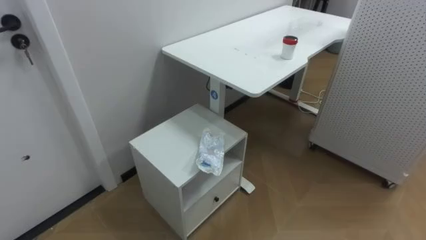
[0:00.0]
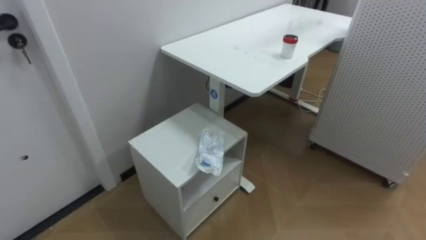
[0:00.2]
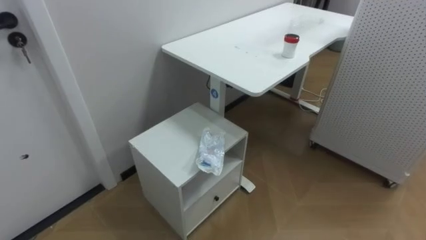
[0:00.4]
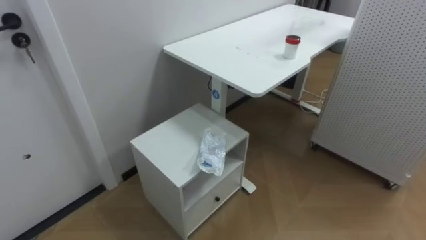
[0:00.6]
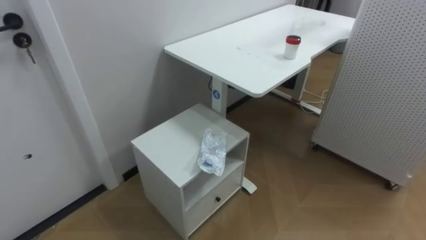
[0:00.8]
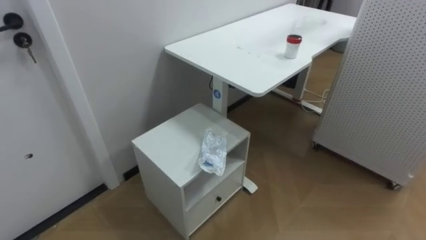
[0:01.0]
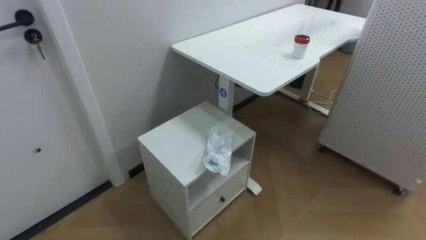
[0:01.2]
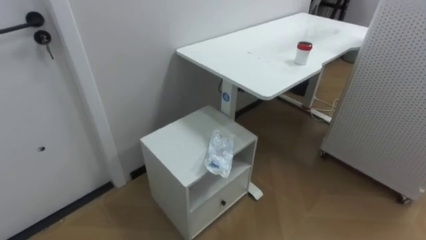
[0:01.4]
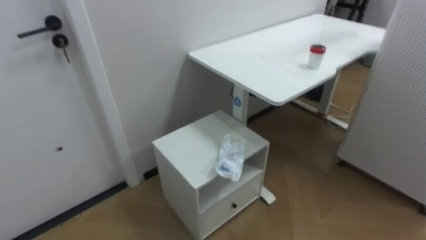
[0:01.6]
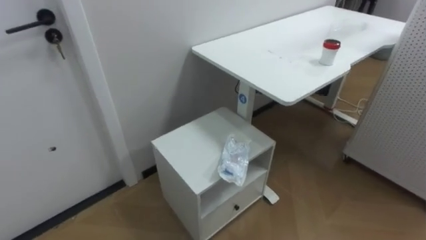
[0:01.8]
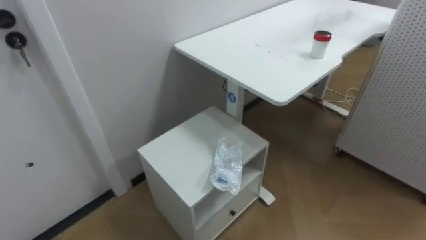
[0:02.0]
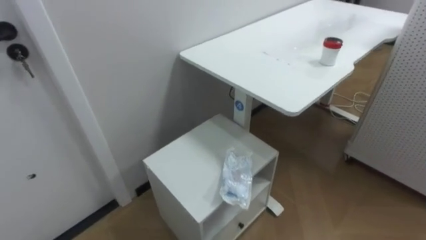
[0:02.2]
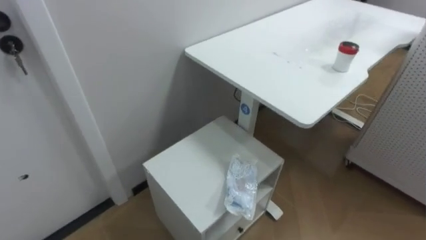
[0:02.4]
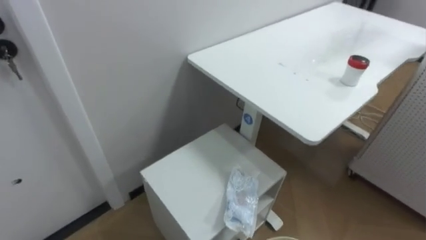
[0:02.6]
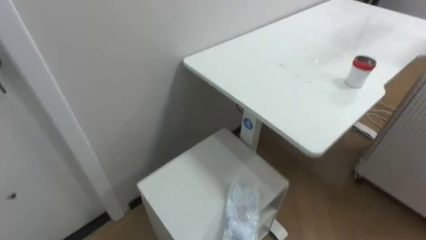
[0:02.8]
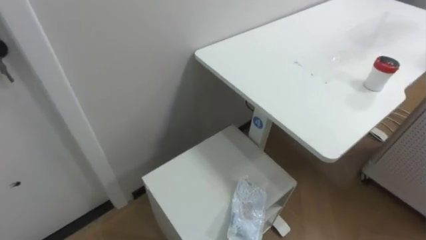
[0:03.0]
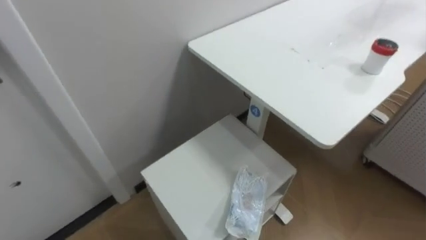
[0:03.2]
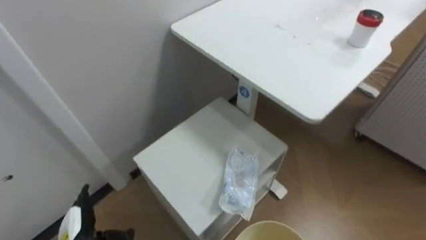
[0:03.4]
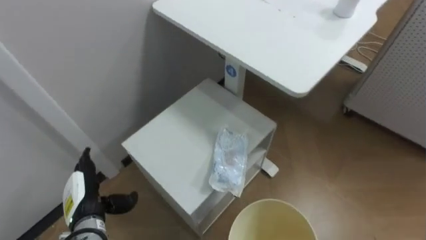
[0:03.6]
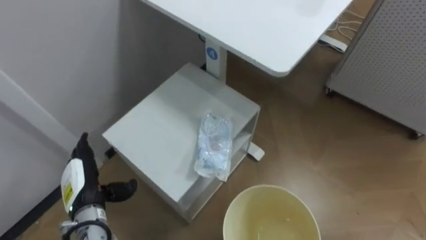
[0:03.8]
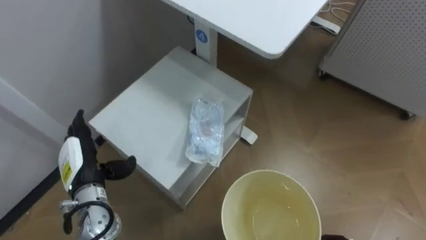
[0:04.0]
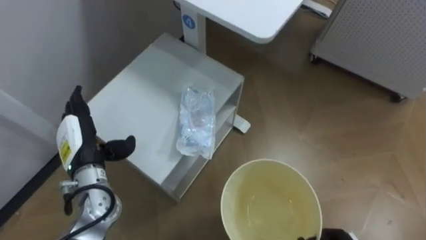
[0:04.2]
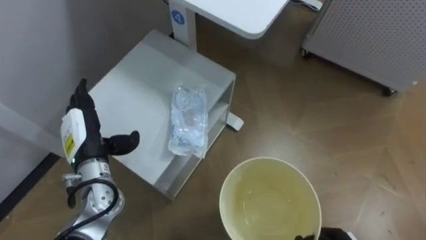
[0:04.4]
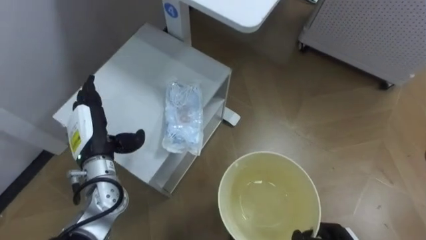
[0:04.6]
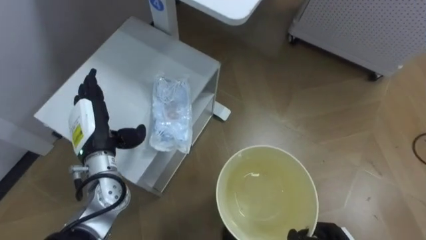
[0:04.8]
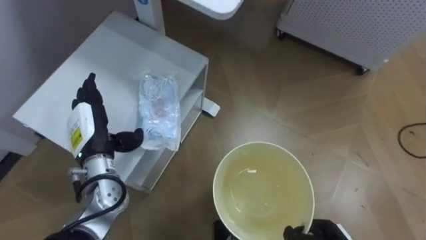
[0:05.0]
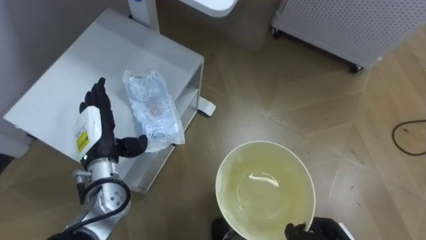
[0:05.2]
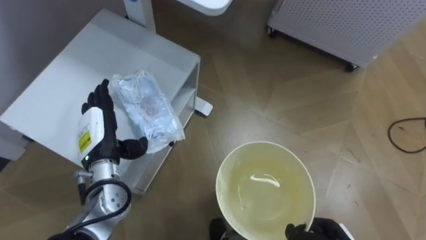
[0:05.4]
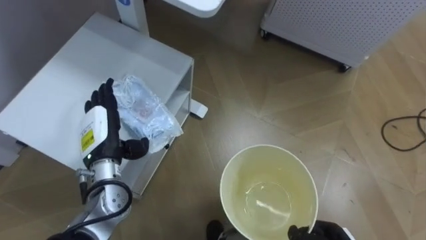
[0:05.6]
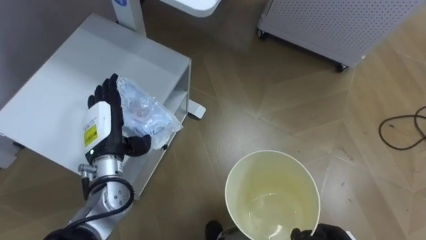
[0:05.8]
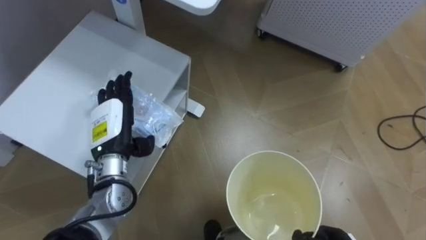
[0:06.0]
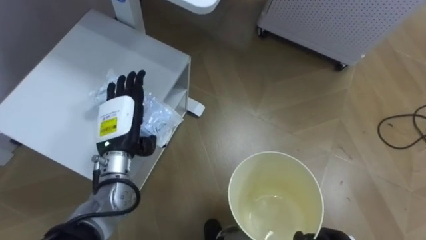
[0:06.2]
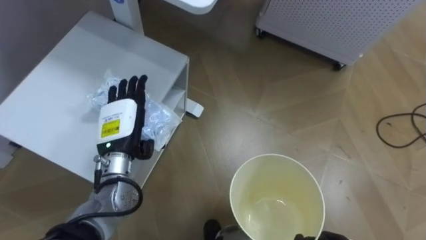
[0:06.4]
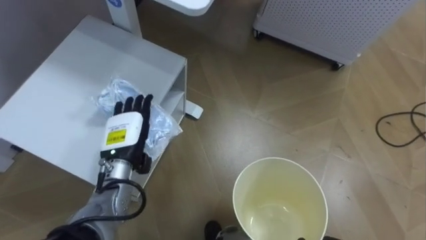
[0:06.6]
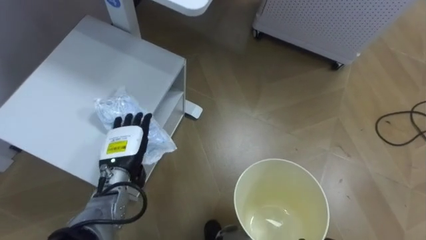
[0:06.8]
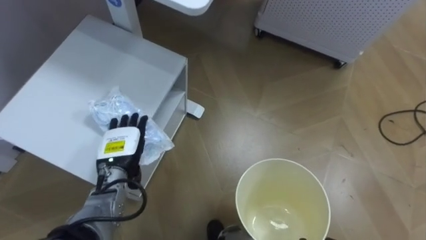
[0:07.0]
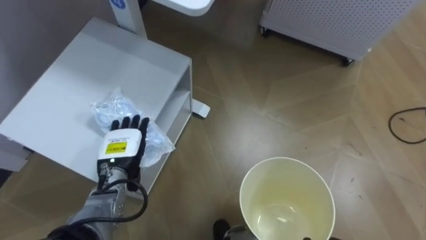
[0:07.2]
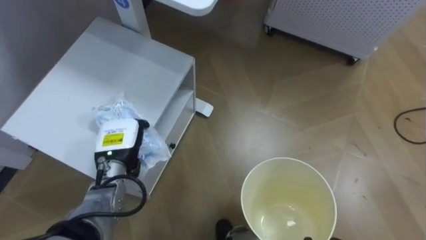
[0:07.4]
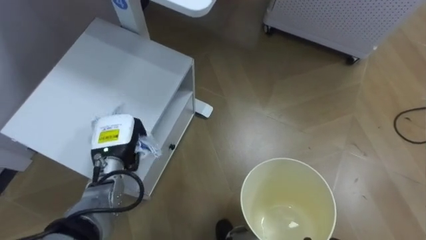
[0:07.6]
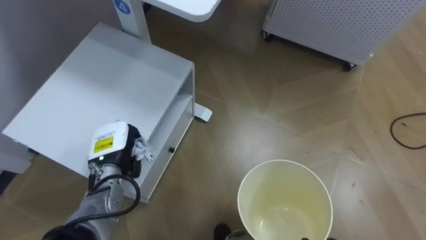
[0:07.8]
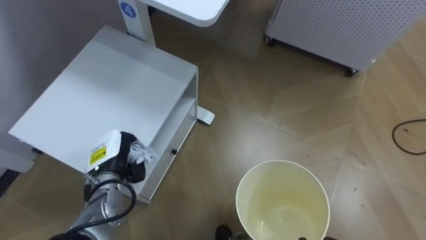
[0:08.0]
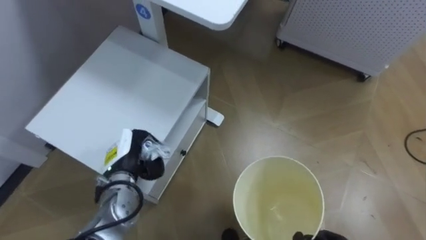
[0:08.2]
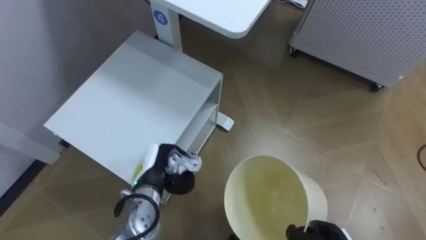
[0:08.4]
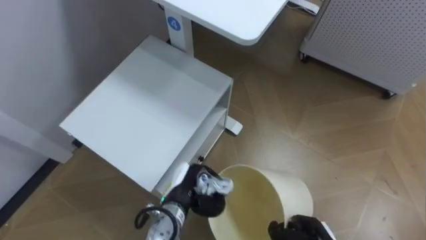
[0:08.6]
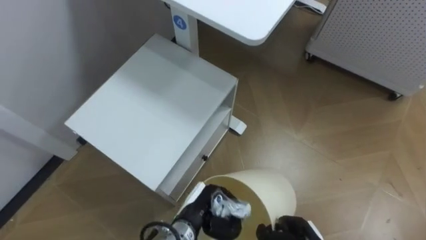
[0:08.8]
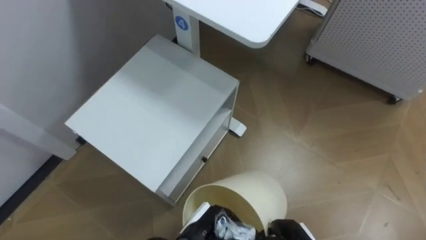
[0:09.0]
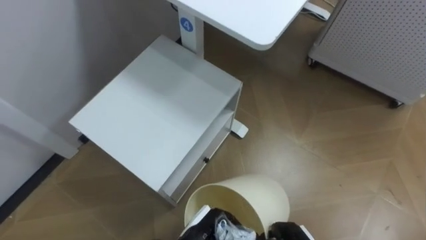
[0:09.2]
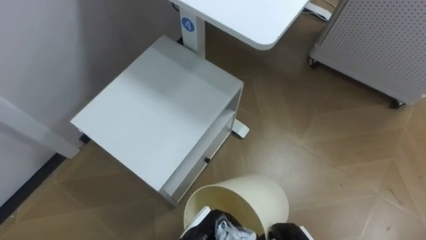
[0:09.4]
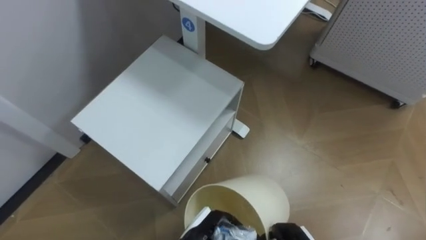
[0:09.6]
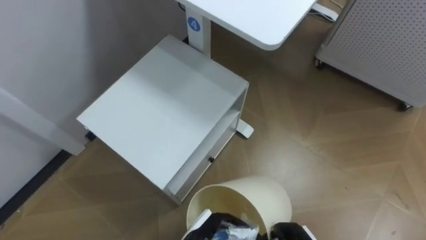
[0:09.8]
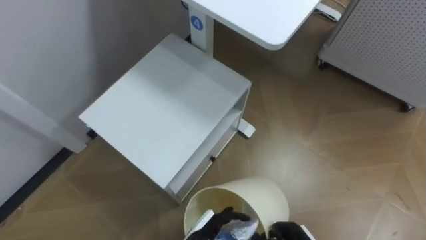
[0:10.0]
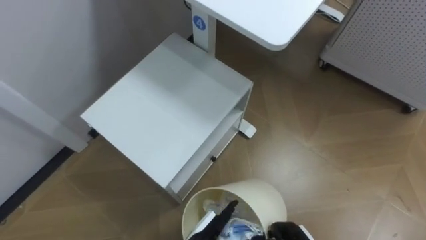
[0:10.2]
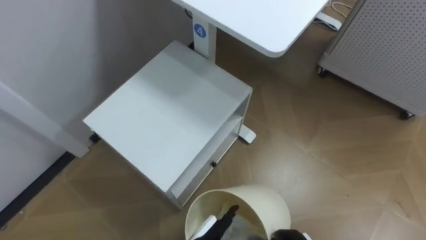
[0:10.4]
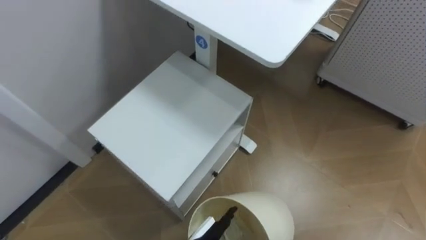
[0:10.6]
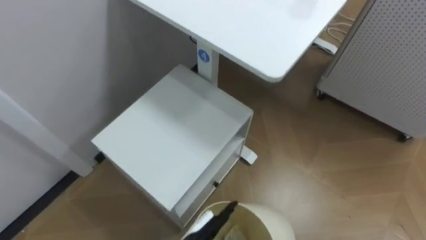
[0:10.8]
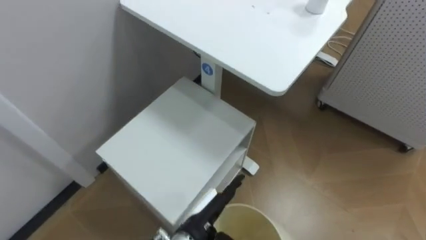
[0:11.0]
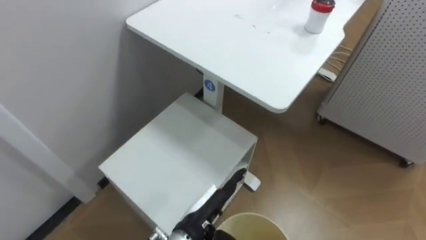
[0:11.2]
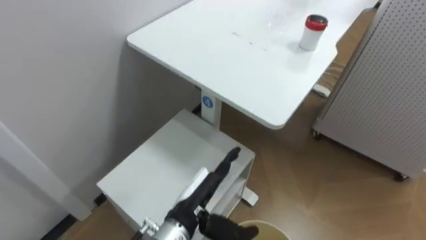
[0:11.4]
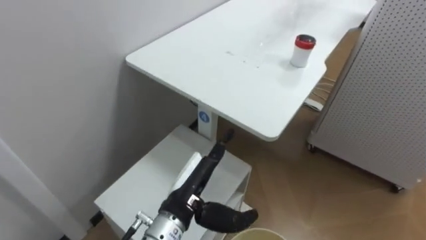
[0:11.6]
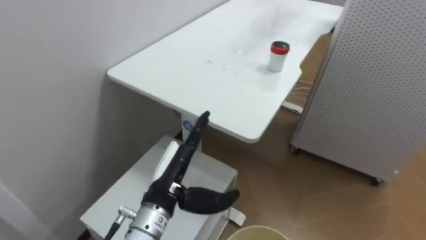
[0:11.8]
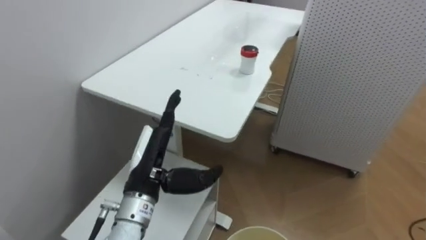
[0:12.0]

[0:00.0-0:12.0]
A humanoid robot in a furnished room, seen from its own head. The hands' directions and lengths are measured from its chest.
Task of the whole recording: Pick up the light blue package, the candy box, and the dark blue package separately, and put them into the trash can held in your right hand.
0:04.4 to 0:06.0: The left hand ends up approximately 5 cm from where it was.
0:06.0 to 0:07.6: The left hand closes.
0:07.6 to 0:09.0: The left hand moves to the right, downward and backward, approximately 25 cm.

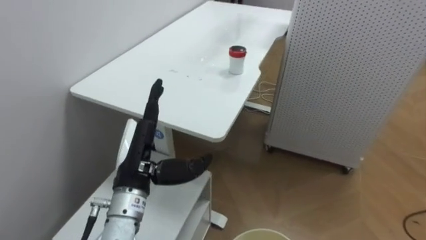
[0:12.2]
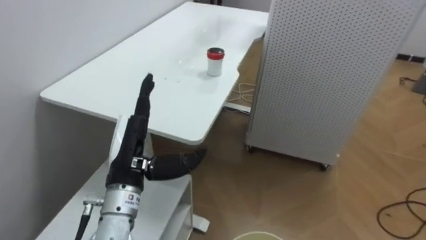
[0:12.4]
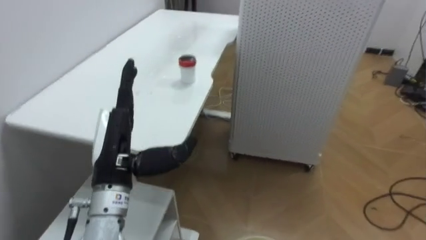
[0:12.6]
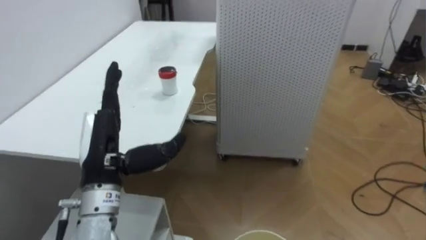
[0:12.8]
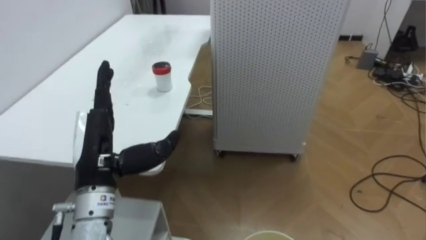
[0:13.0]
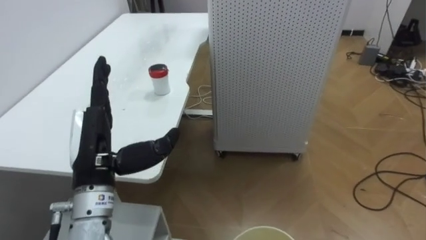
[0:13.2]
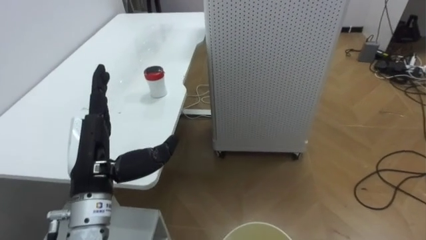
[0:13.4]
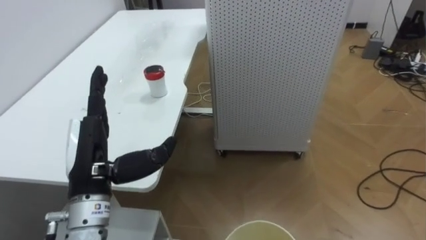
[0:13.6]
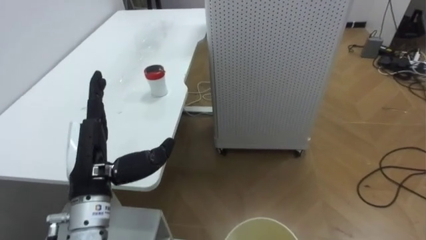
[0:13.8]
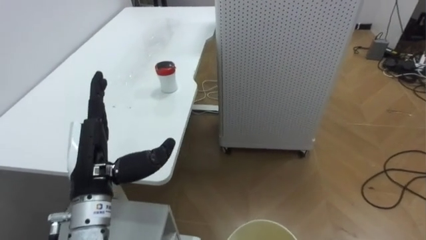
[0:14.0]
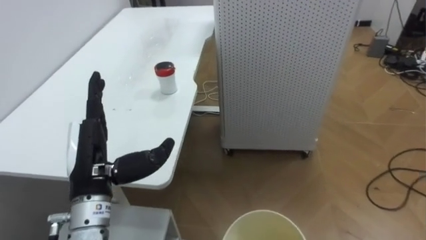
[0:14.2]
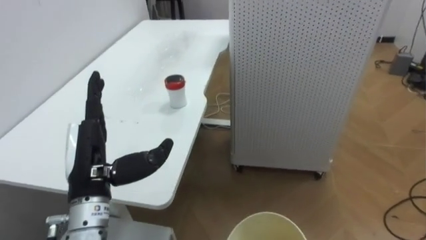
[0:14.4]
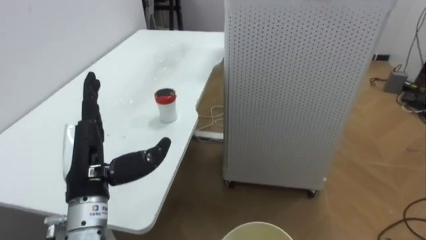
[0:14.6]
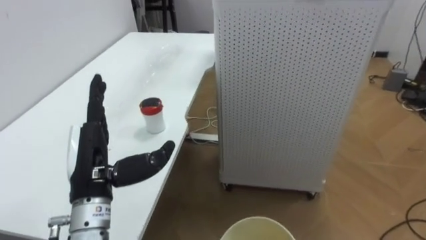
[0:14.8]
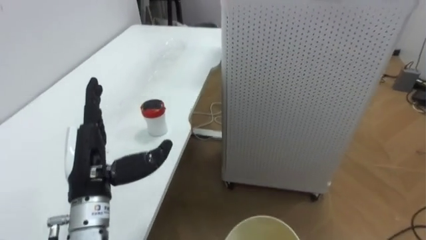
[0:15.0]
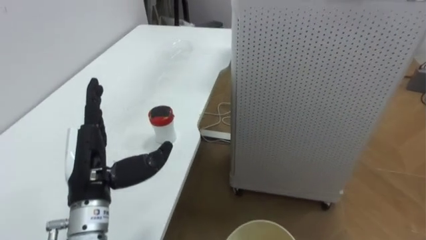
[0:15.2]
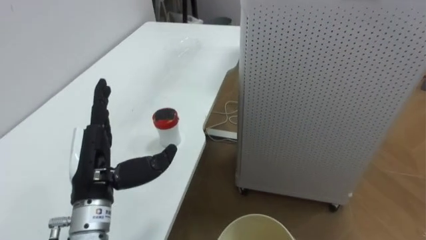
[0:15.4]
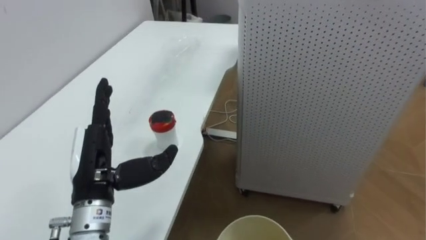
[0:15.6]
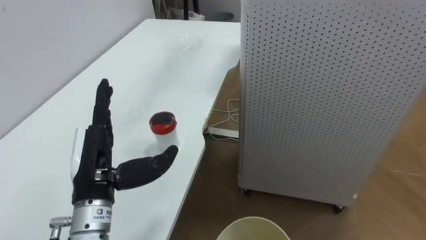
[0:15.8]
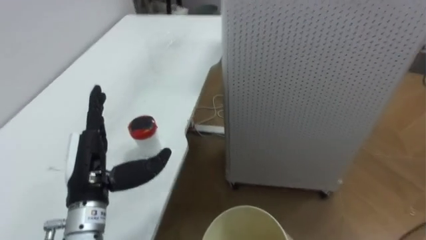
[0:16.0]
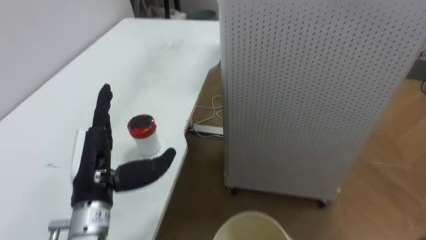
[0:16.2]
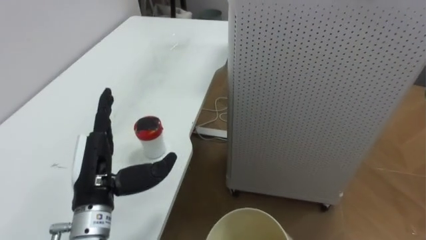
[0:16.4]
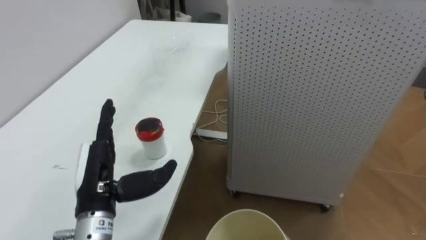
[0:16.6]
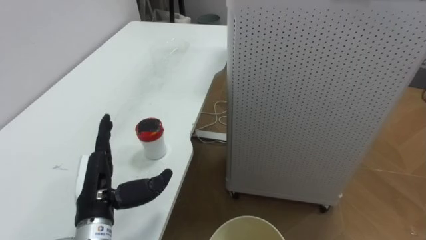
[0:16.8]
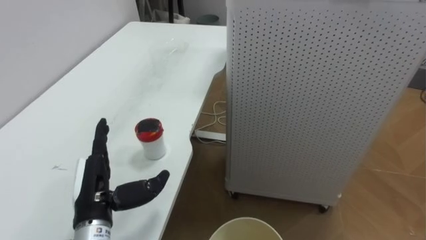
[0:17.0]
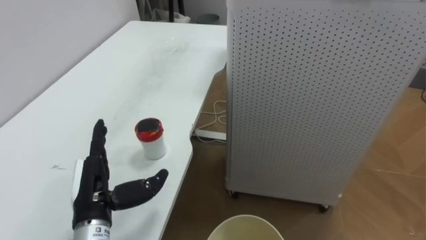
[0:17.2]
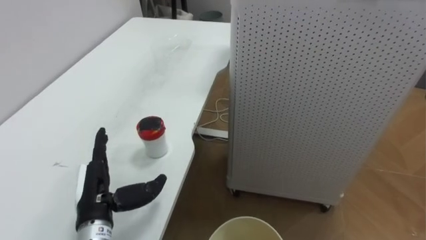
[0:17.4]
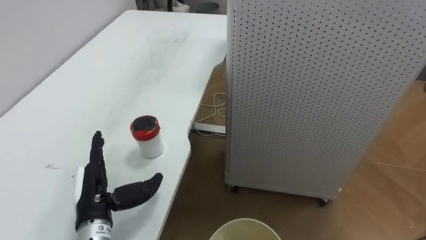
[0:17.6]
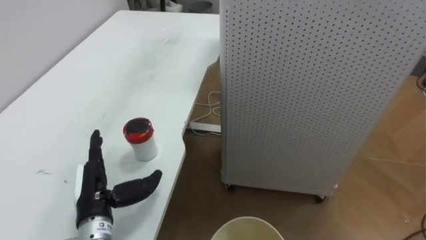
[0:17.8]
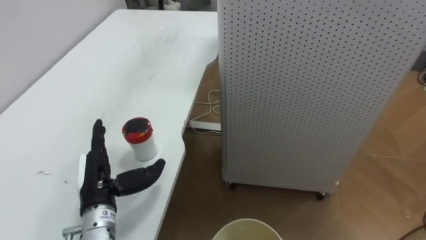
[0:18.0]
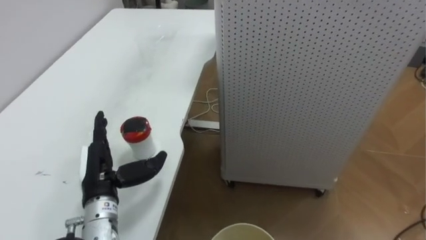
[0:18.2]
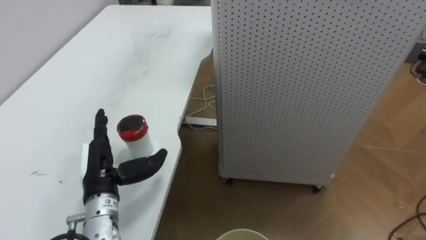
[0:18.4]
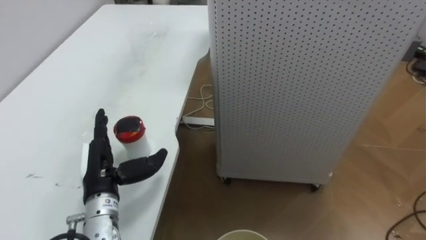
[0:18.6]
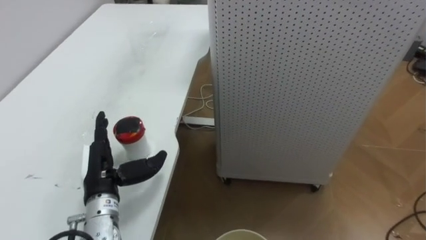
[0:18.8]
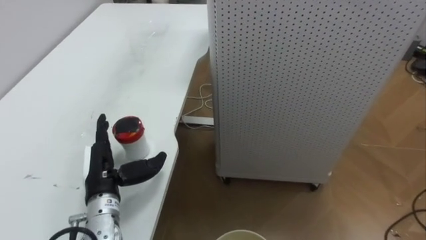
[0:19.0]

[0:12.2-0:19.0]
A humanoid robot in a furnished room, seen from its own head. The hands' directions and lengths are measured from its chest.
Task of the whole recording: Pick up the light blue package, the candy box, and the dark blue package separately, and put them into the trash can held in your right hand.
0:12.2 to 0:13.6: The robot rotates about 20 degrees to its right. The left hand travels to the left by some 5 cm.
0:16.2 to 0:17.6: The left hand heads downward, covering some 10 cm.
